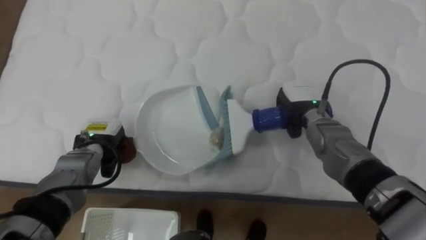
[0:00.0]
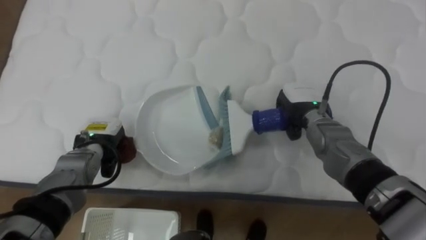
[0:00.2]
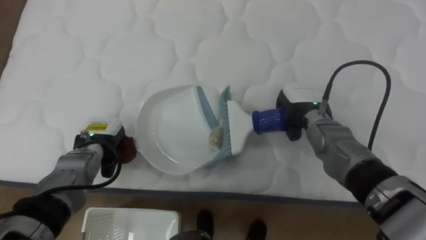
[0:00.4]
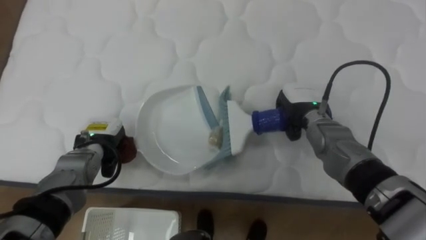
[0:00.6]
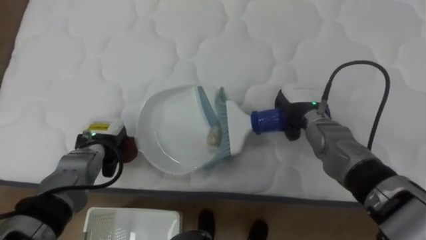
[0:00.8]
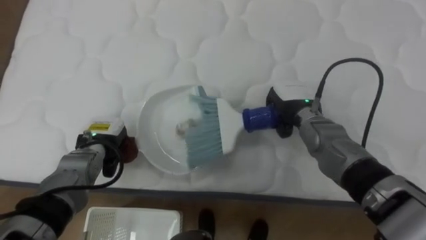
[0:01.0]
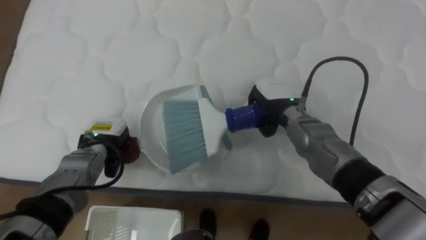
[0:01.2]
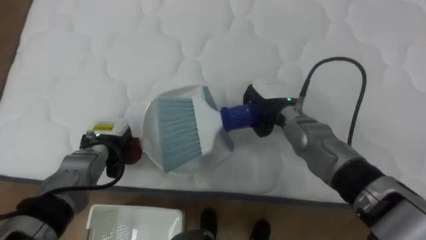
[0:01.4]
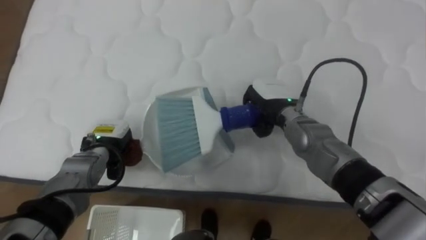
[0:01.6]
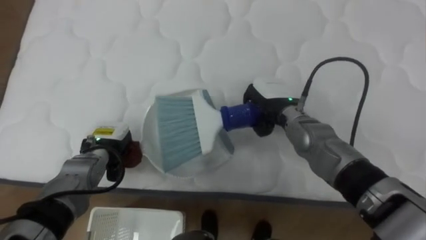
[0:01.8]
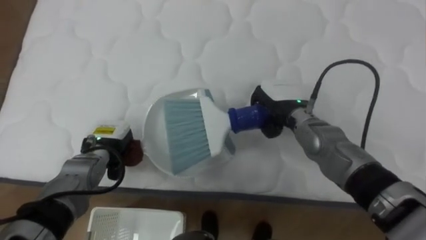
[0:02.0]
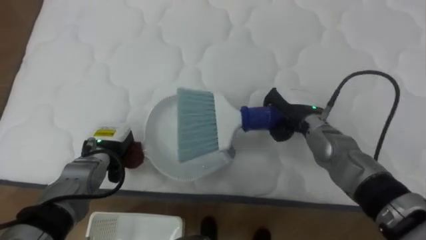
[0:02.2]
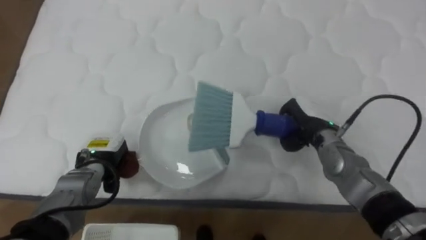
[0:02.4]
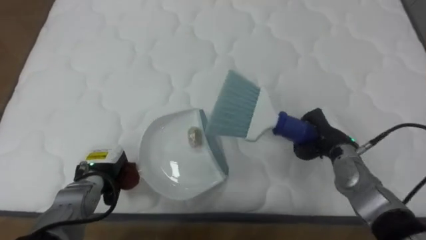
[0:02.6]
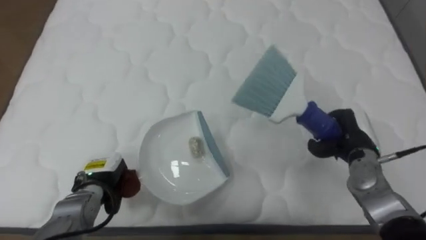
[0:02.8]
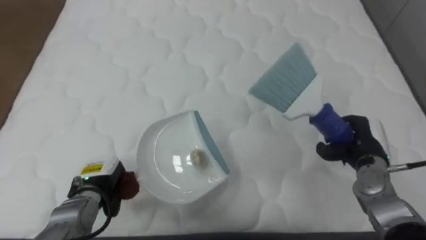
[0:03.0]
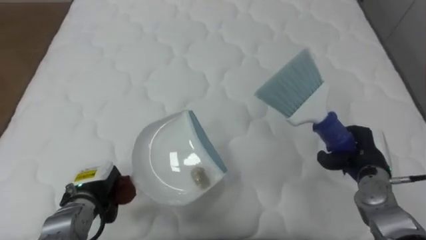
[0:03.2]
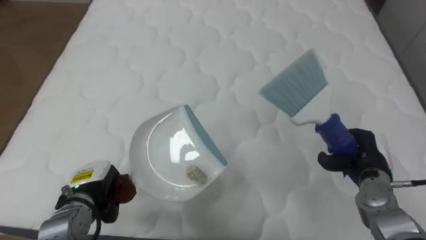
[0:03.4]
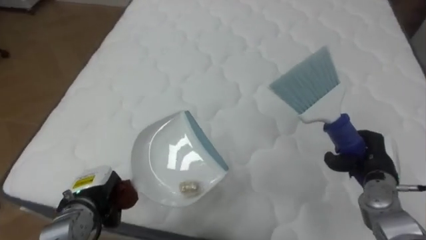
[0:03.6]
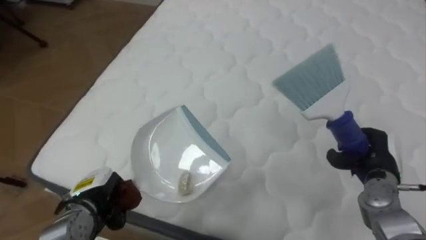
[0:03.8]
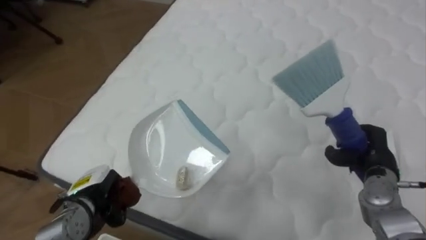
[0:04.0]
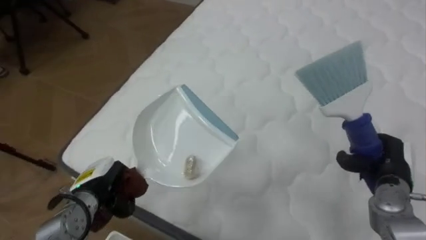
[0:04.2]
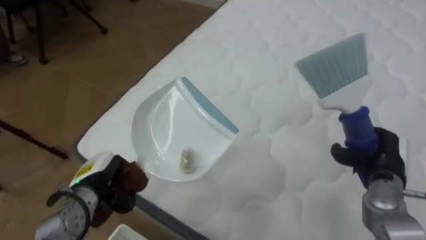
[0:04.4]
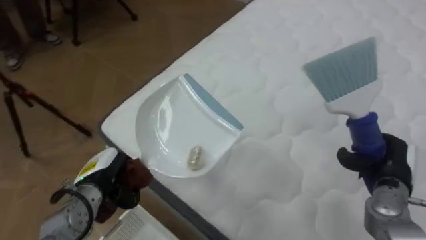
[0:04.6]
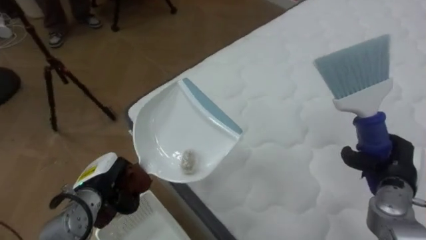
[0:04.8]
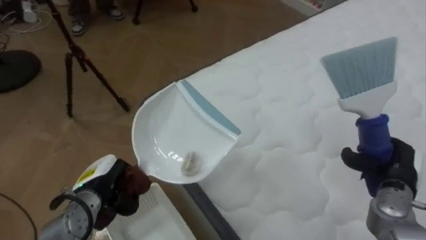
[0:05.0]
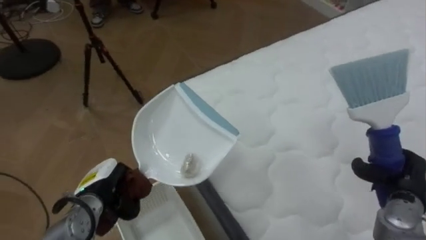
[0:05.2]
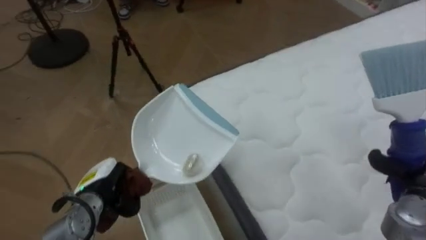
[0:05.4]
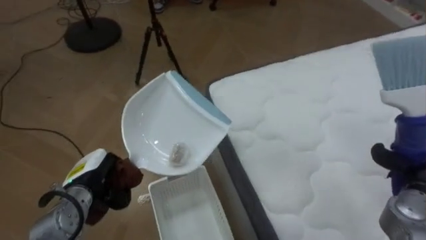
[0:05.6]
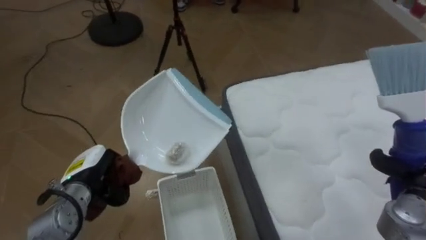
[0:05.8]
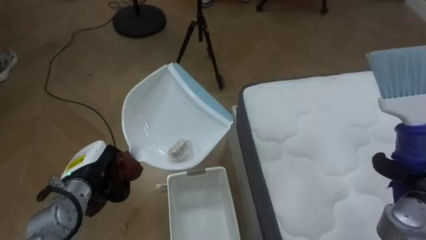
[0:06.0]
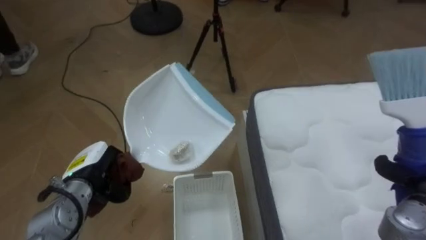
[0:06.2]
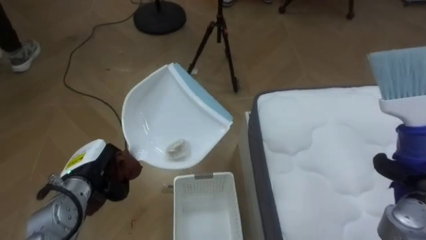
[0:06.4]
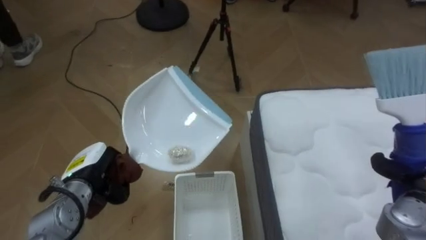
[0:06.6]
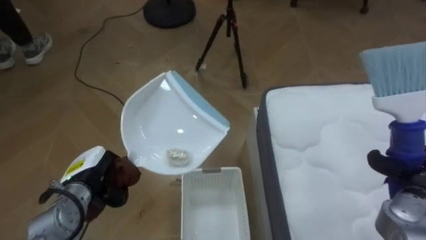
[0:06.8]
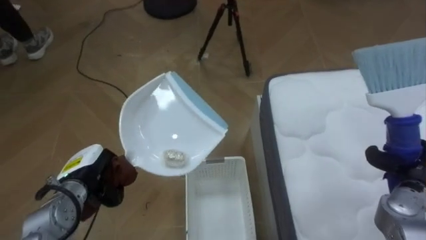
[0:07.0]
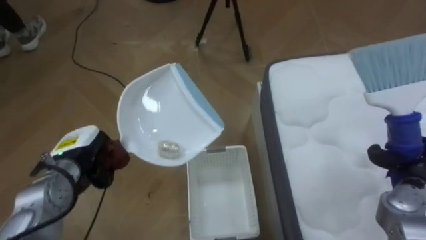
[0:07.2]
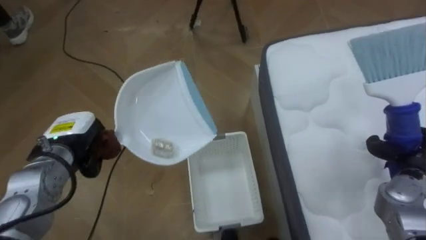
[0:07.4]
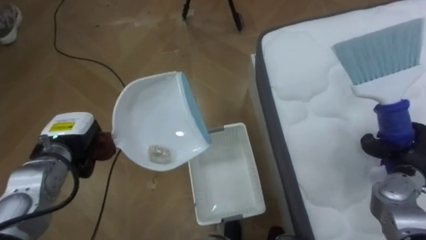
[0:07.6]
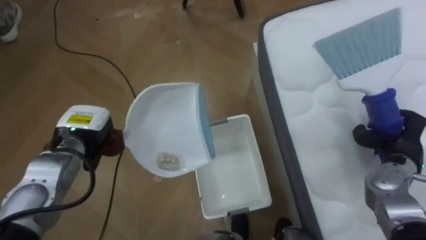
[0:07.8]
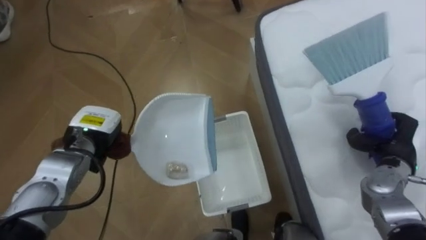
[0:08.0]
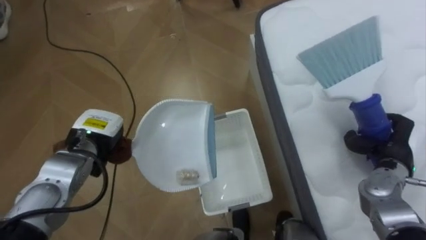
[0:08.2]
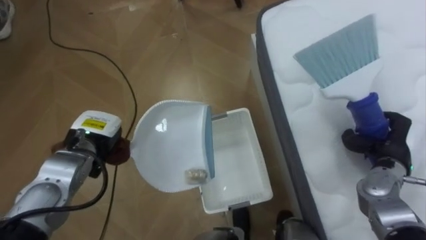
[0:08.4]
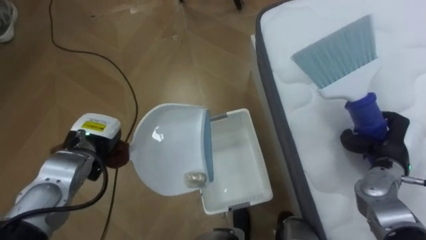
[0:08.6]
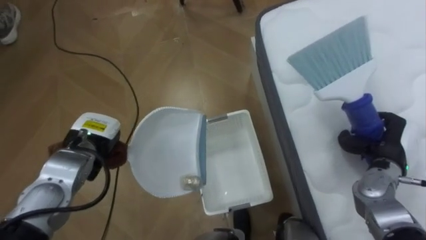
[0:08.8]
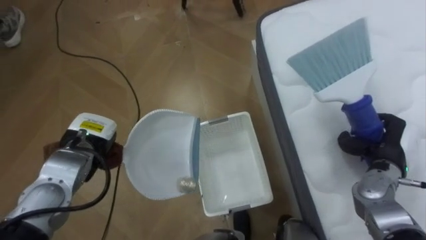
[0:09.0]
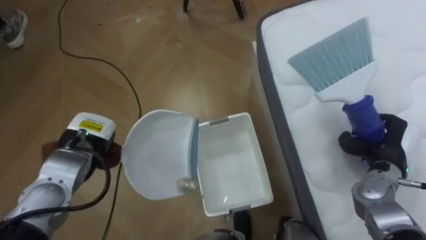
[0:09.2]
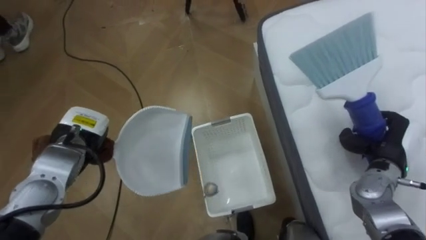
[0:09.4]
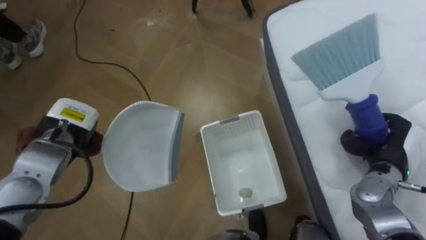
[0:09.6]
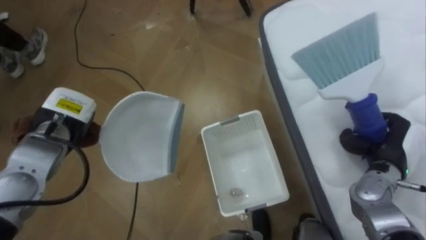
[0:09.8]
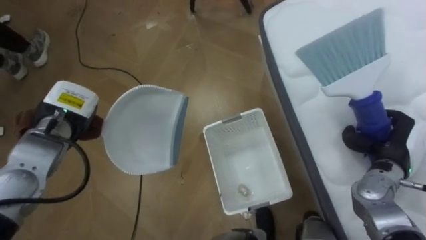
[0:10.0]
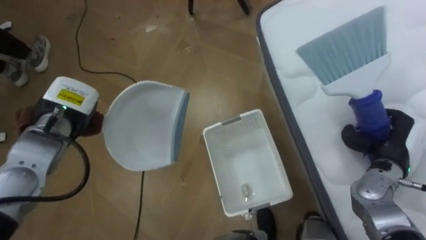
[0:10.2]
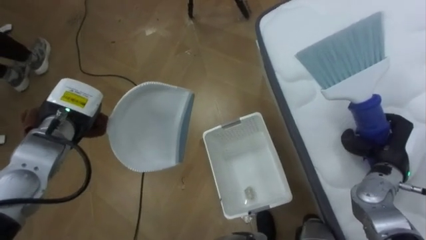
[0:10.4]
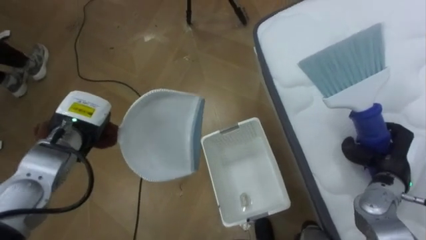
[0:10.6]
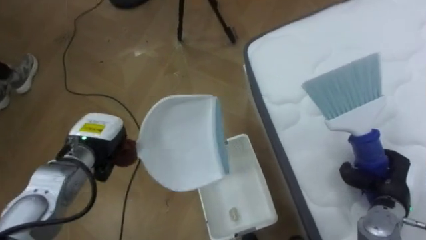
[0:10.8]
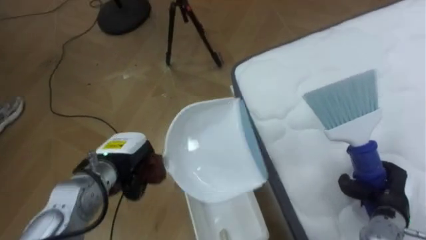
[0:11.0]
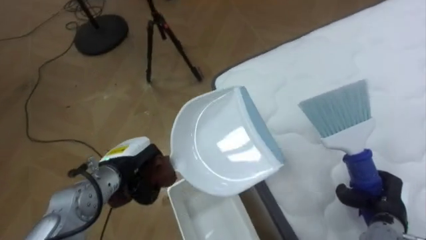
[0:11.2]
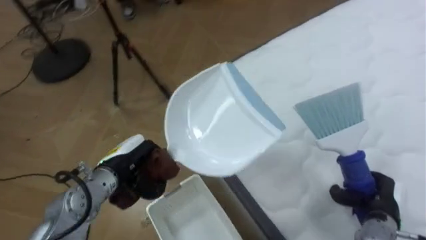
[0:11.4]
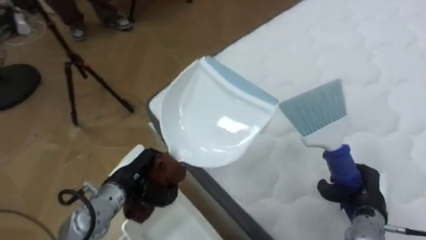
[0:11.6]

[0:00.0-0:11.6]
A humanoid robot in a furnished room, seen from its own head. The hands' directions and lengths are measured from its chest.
Task of the whole recording: Pick up the brush on your right and the dustpan on your left. Use the brush to sweep the crumpled paper on the bed into the dustpan, then turn left and empty it into the basket.
0:00.0 to 0:01.4: The right hand is displaced to the left by some 5 cm.
0:01.4 to 0:02.8: The left hand travels backward by approximately 5 cm; the right hand travels to the right by roughly 15 cm.
0:02.8 to 0:04.4: The robot's body swings about 30 degrees to its left. The right hand shifts about 10 cm to the right and backward.
0:04.4 to 0:05.8: The robot's body swings approximately 45 degrees to its left. The right hand heads backward, covering some 5 cm.
0:07.2 to 0:08.8: The right hand changes place by about 5 cm.
0:08.8 to 0:10.2: The left hand shifts about 5 cm upward.
0:10.2 to 0:11.6: The robot rotates some 40 degrees to its right. The right hand shifts roughly 10 cm downward and backward, while the left hand is displaced downward, to the right and backward by approximately 15 cm.

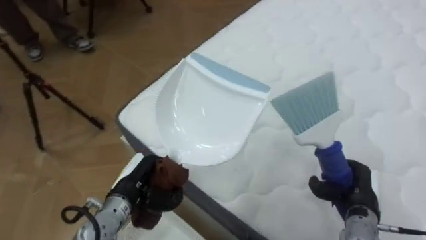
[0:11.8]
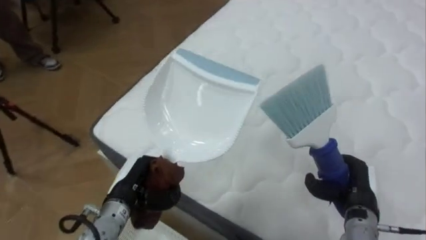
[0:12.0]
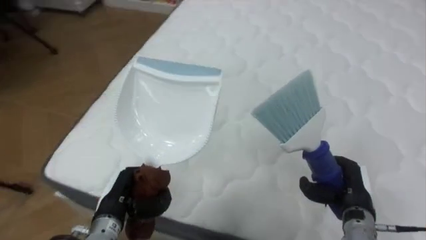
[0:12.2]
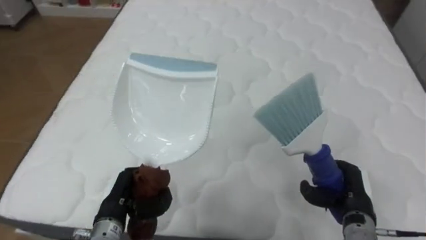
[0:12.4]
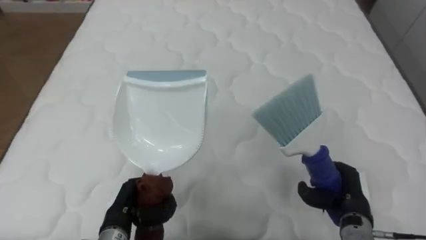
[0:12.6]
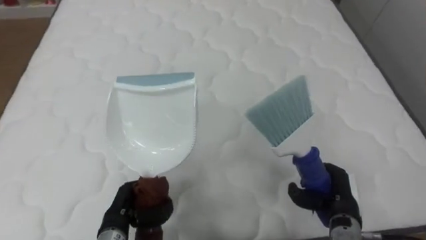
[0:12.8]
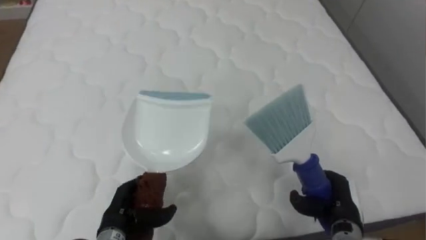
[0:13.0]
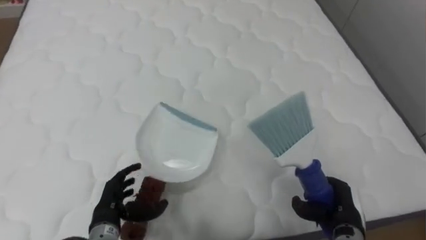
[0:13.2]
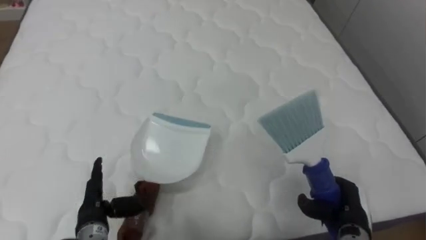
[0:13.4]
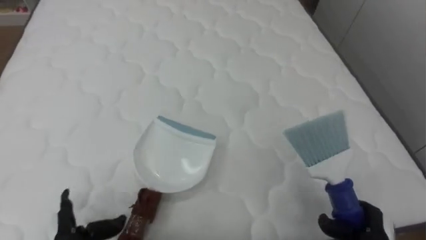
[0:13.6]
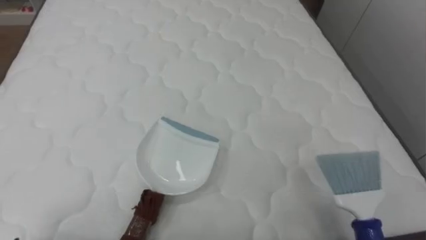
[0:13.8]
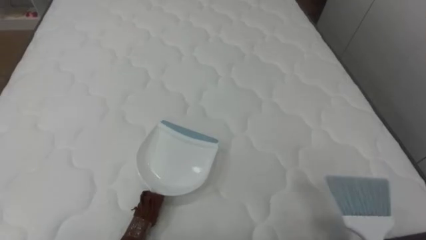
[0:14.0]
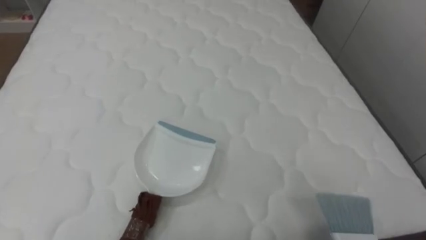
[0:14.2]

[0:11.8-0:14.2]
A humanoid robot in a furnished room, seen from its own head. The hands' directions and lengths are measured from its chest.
Task of the whole recording: Pick up the brush on your right and the dustpan on your left. Use the brush to sweep the crumpled paper on the bed into the dustpan, then turn left and empty it into the basket.
0:11.8 to 0:13.0: The robot faces some 45 degrees further to its right. The left hand goes about 5 cm downward, and opens.

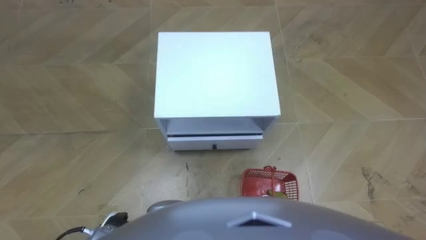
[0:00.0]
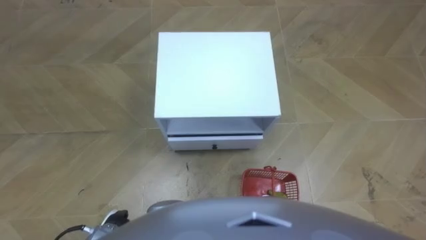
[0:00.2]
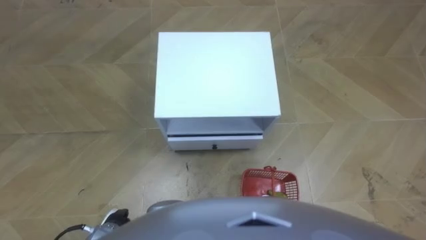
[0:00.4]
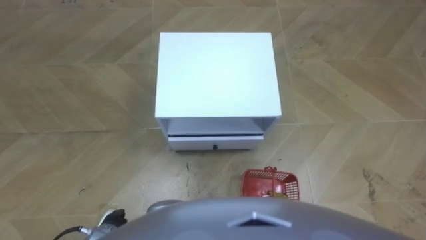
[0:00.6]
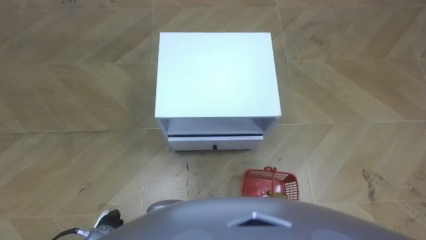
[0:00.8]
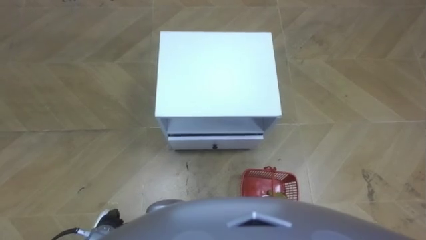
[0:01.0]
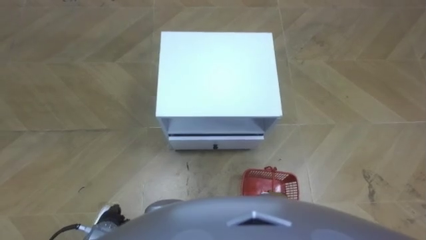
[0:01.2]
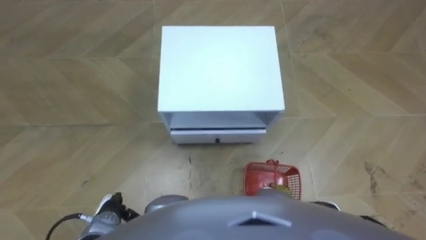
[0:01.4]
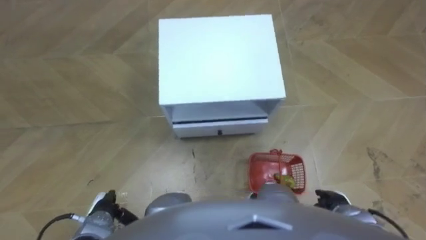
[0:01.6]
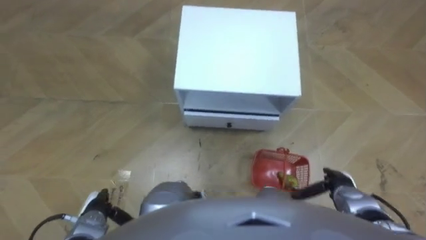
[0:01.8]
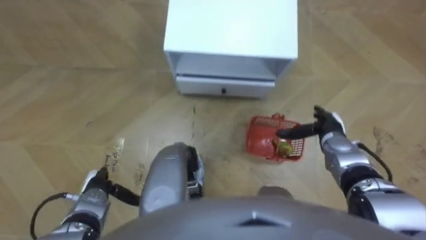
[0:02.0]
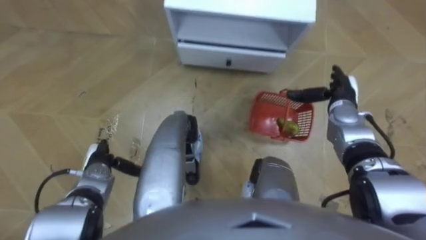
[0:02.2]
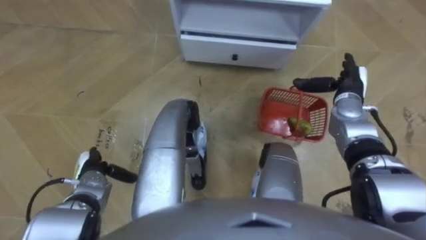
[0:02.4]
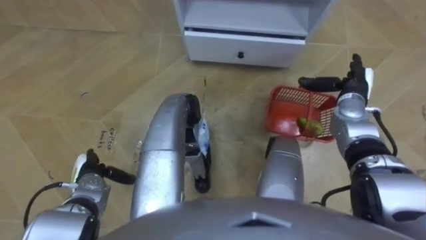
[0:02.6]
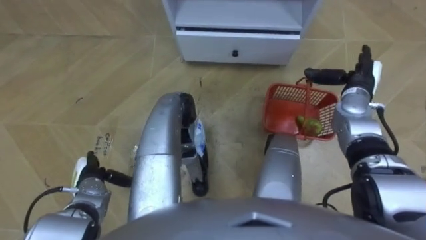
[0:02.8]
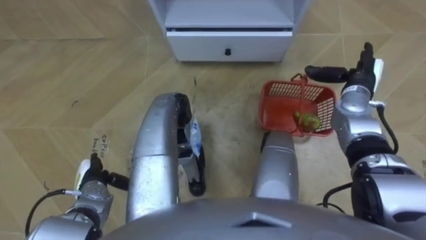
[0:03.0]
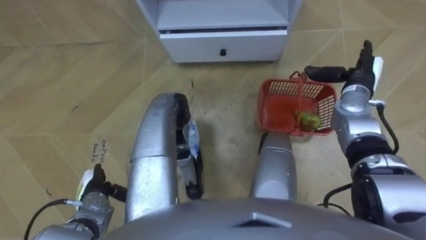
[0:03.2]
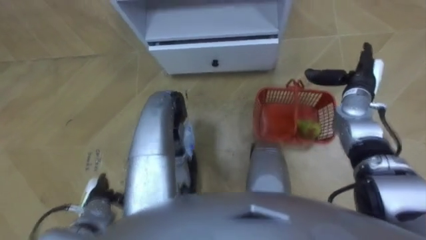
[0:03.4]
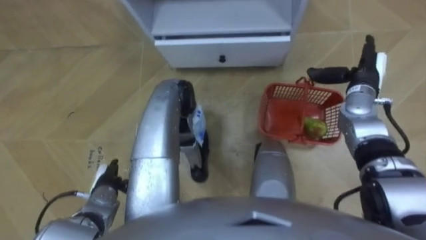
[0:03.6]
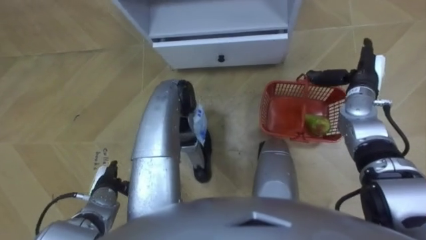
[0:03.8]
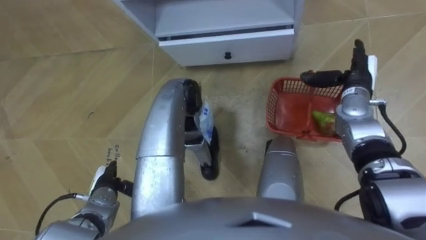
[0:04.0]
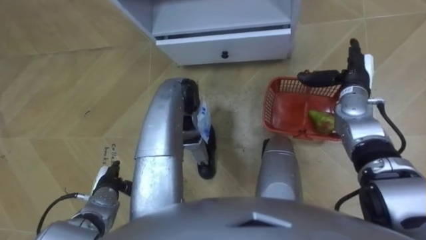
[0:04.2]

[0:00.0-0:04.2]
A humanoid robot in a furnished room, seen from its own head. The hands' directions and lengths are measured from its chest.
Task of the whole recording: Pick up the fruit basket from the floor and place it on the cabinet.
0:01.4 to 0:02.8: The left hand goes about 10 cm forward, while the right hand shifts some 30 cm forward and upward.
